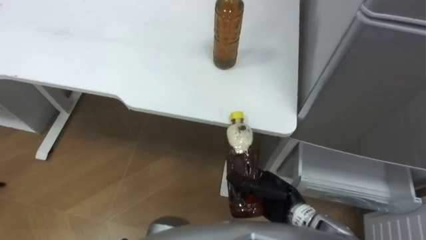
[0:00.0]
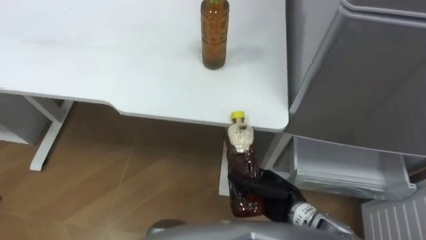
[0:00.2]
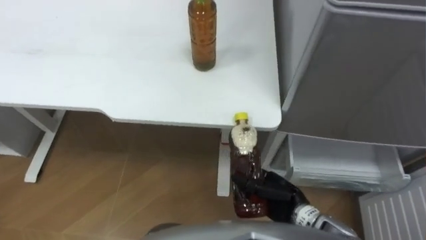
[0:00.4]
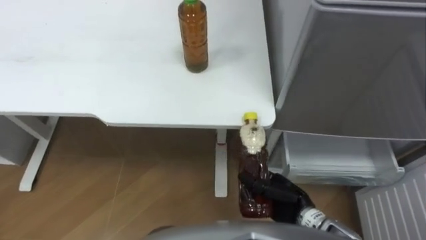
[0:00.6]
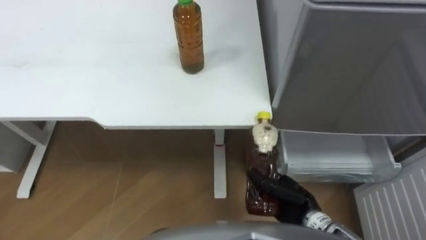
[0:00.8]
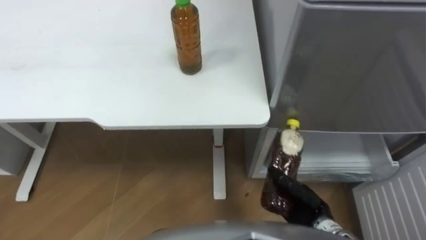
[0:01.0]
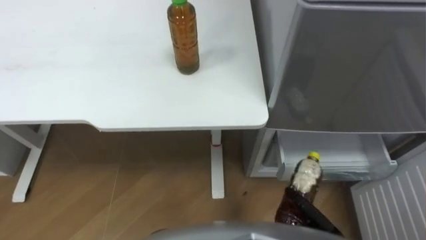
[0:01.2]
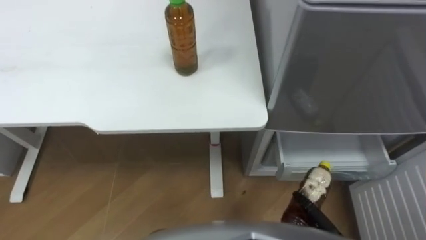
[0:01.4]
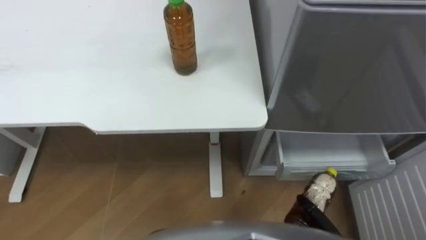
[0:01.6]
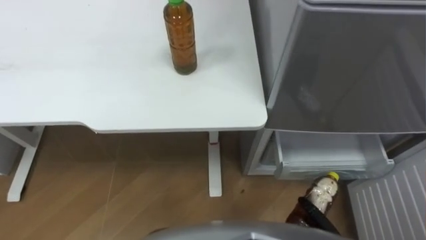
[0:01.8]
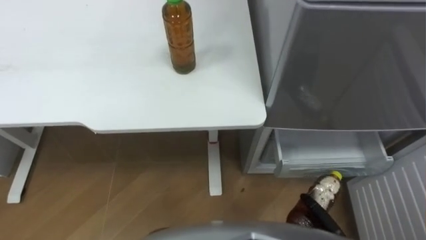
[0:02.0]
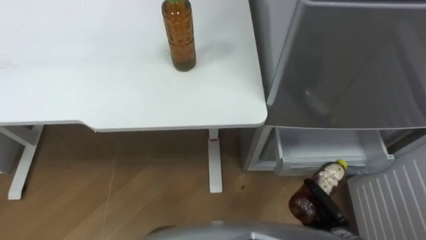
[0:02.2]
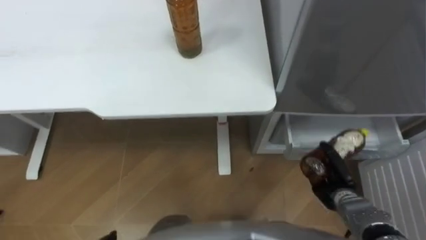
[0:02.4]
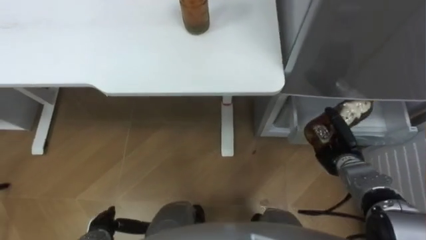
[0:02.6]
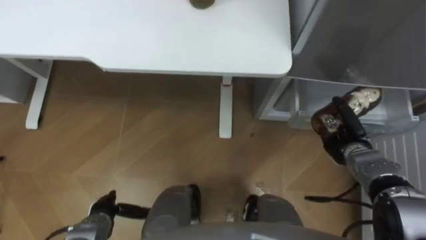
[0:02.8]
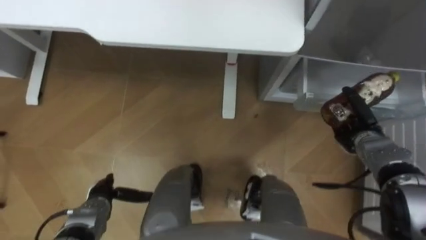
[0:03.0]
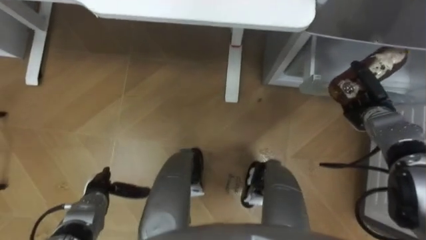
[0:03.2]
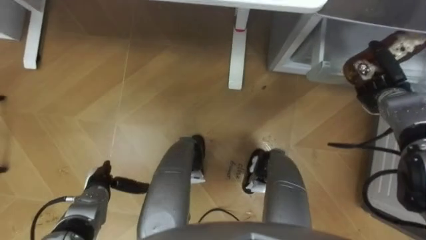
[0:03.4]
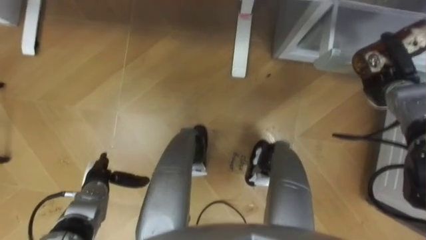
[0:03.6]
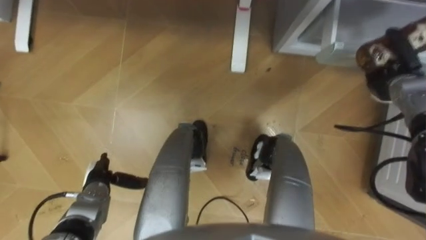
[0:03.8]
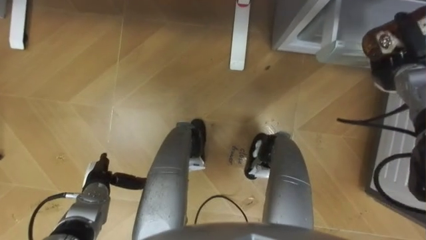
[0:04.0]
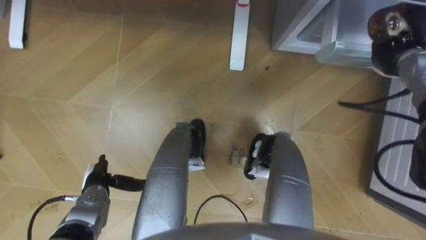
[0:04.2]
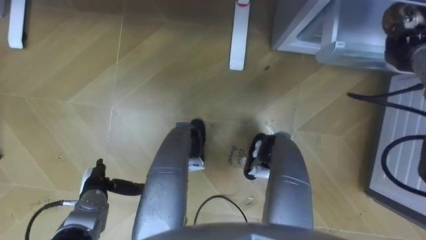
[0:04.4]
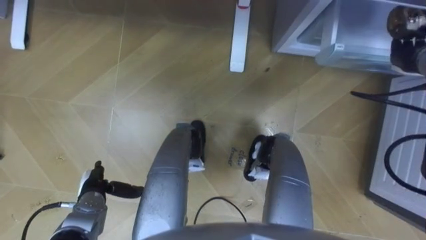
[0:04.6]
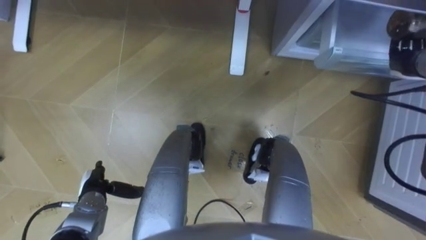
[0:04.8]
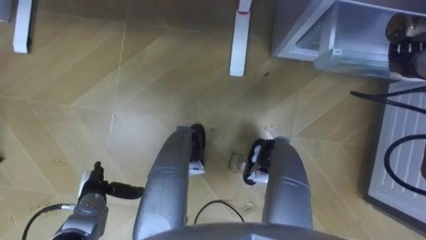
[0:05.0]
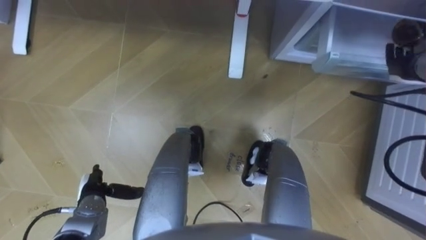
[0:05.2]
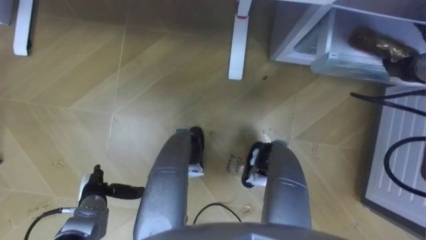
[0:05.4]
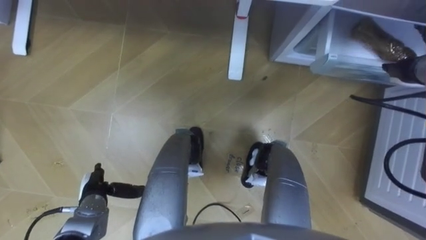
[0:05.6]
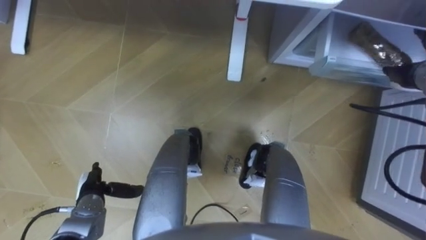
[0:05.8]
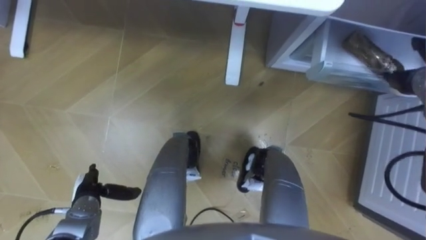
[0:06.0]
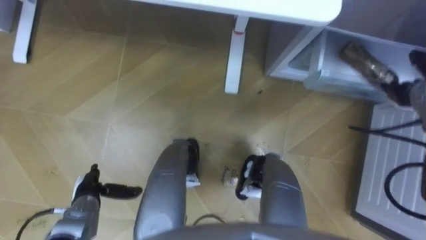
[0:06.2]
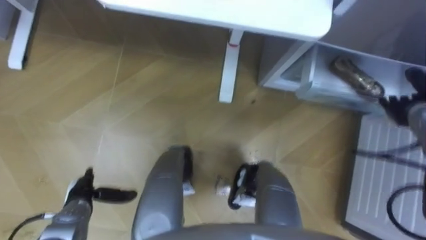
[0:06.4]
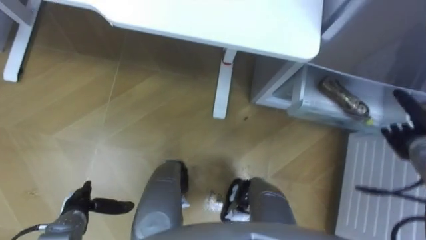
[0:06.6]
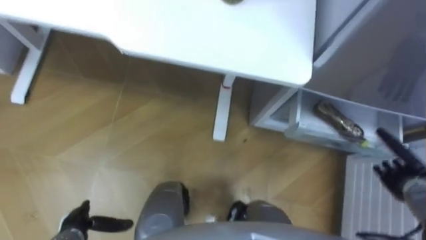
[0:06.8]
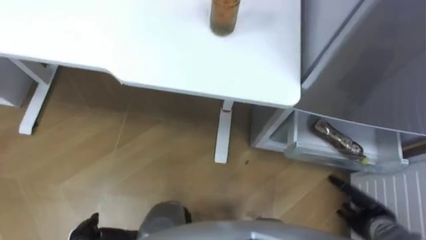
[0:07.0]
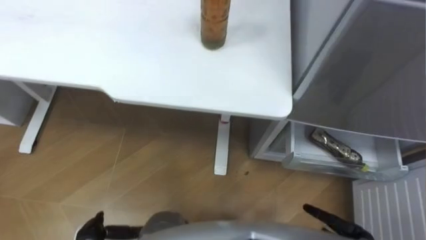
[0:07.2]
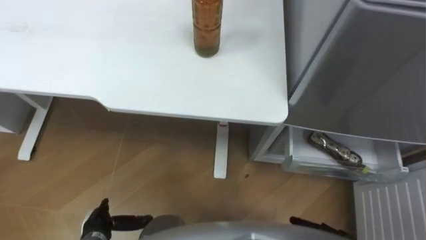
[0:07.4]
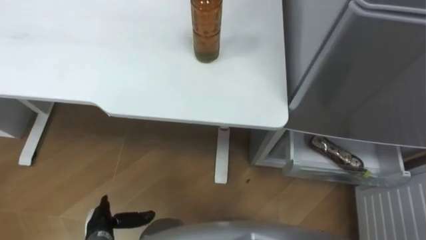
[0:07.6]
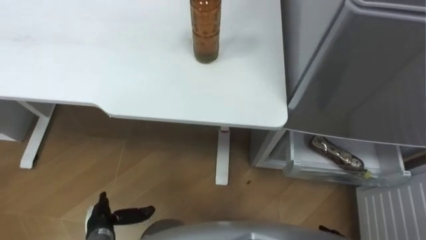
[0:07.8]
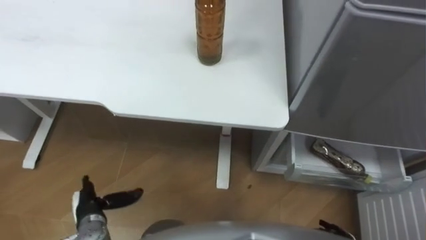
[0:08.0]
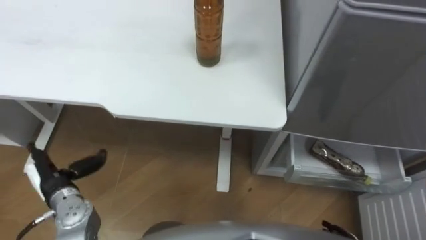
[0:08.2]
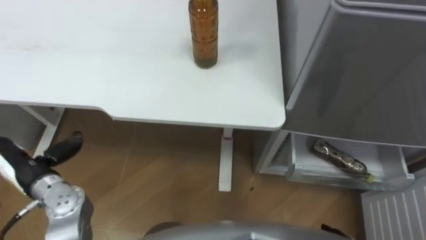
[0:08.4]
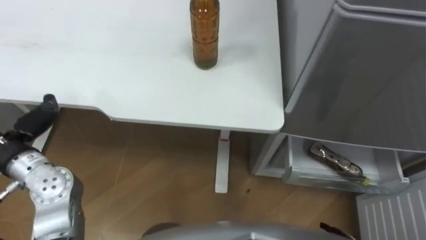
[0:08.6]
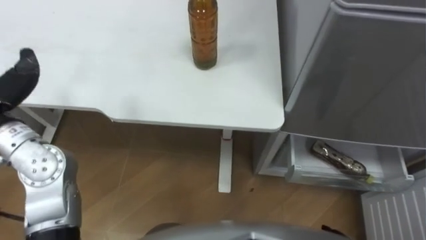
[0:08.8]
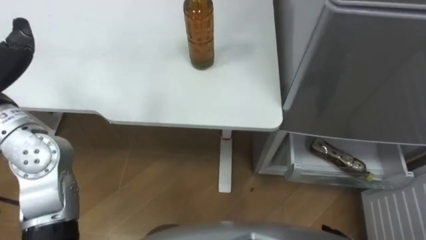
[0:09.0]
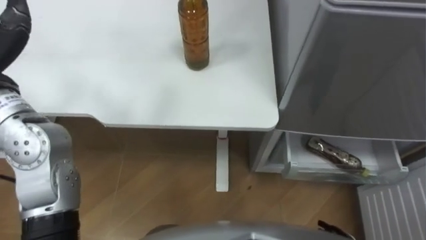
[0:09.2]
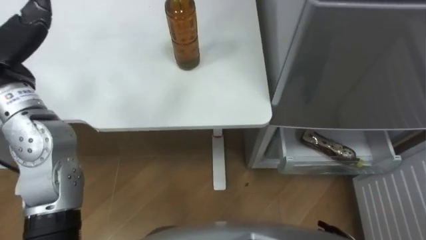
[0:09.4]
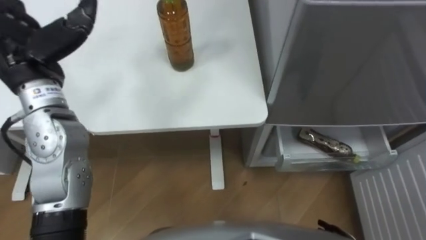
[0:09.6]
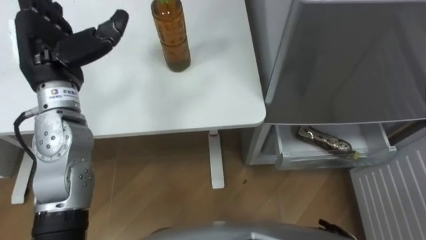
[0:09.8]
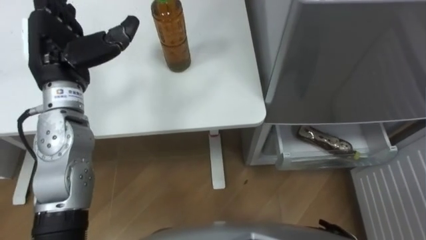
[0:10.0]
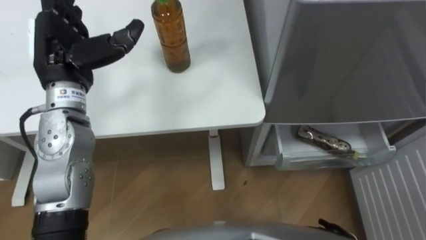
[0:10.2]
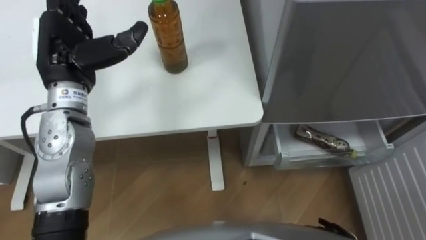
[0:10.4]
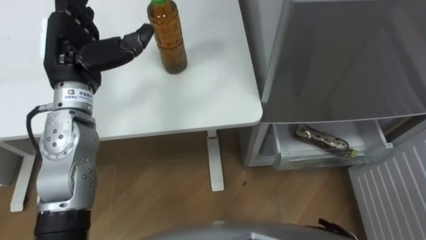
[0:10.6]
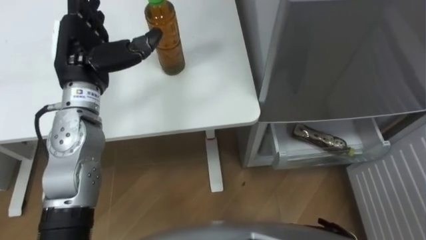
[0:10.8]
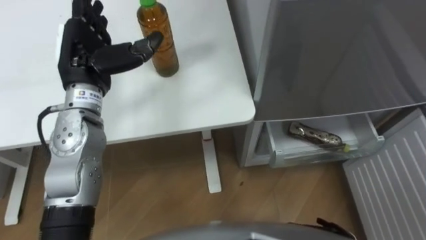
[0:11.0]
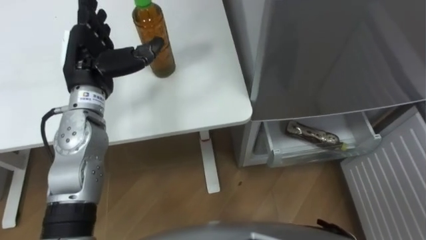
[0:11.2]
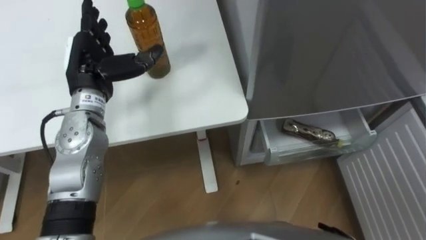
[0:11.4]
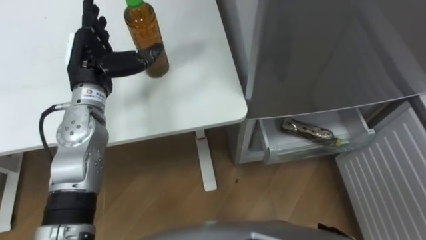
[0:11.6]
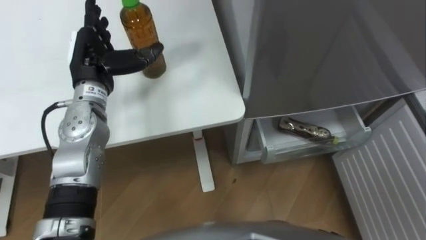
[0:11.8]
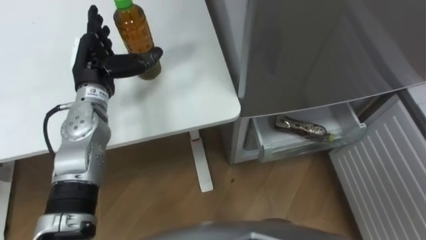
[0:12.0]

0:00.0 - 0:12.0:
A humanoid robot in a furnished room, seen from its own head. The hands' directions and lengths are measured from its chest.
Task of the whole recording: Place the drink on the table on the bottom shelf of the refrigerator, then close the drawer and the refrigerator door.
0:03.0 - 0:04.4: The right hand heads upward and forward, covering about 20 cm.
0:04.4 - 0:06.0: The right hand opens up.
0:10.4 - 0:12.0: The left hand shifts some 5 cm downward.

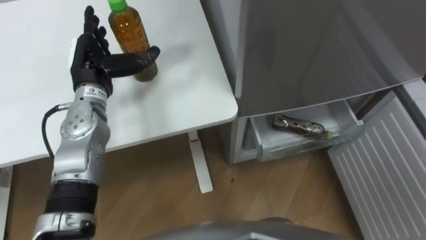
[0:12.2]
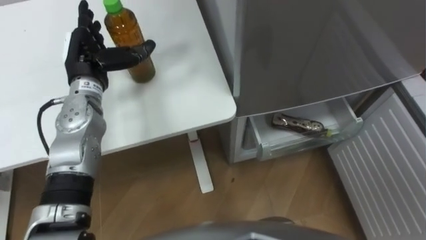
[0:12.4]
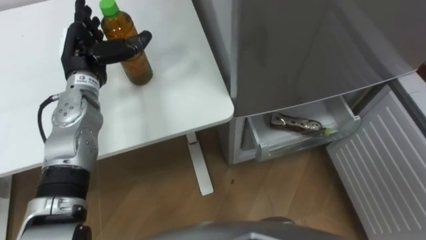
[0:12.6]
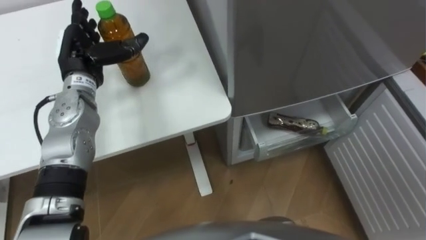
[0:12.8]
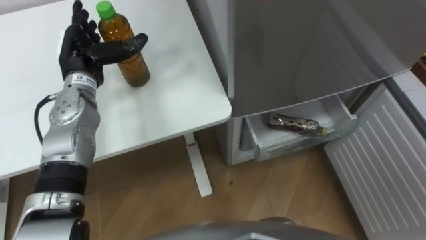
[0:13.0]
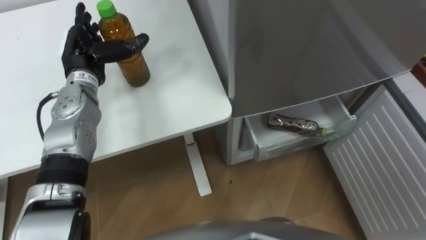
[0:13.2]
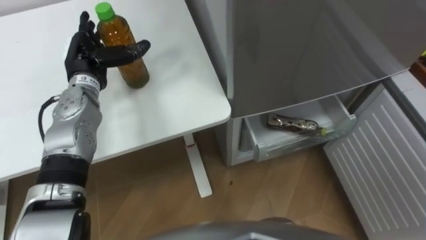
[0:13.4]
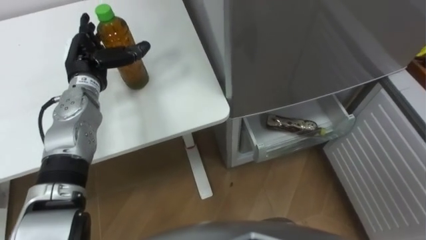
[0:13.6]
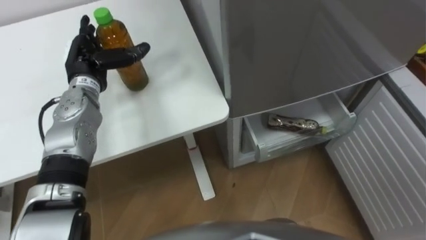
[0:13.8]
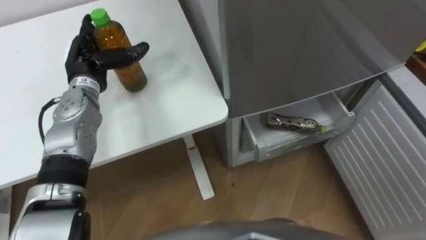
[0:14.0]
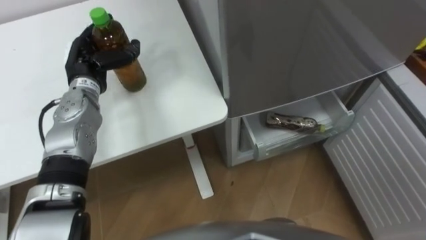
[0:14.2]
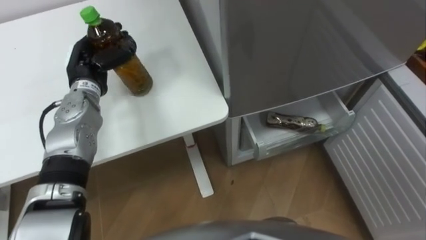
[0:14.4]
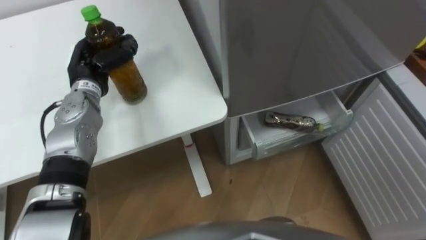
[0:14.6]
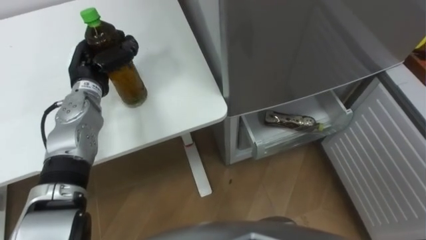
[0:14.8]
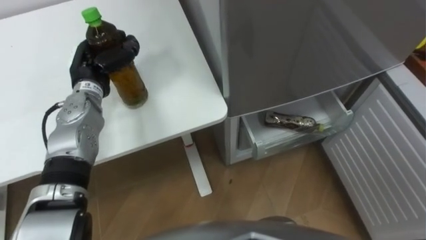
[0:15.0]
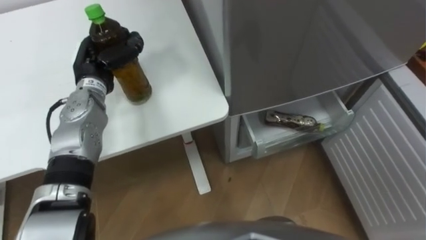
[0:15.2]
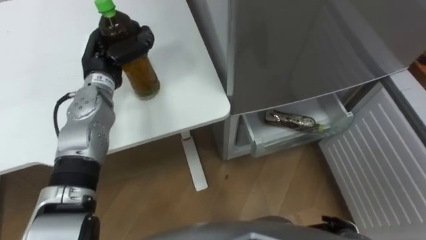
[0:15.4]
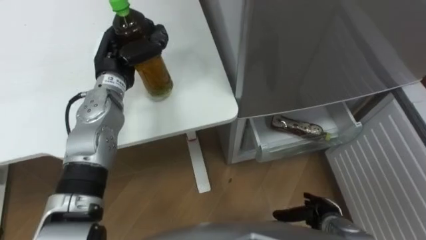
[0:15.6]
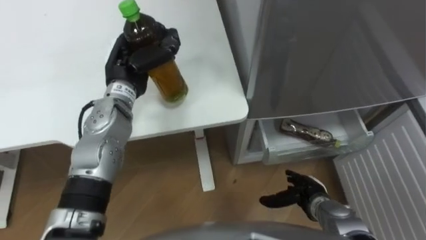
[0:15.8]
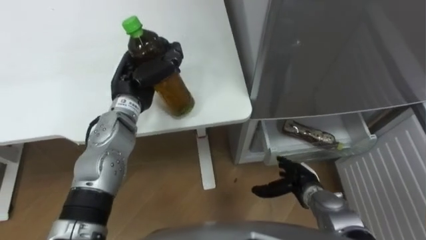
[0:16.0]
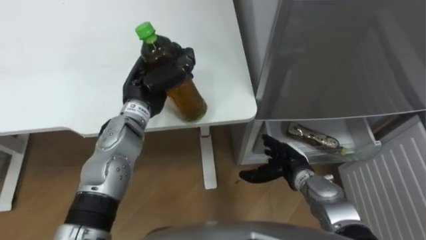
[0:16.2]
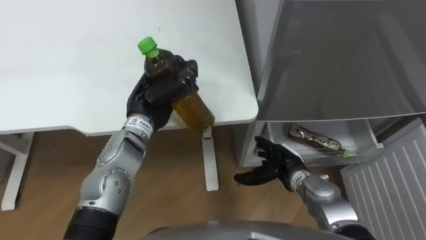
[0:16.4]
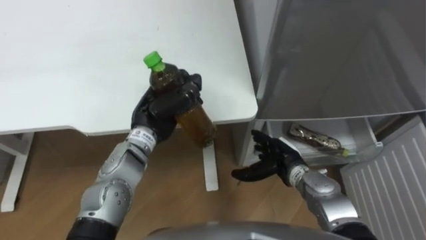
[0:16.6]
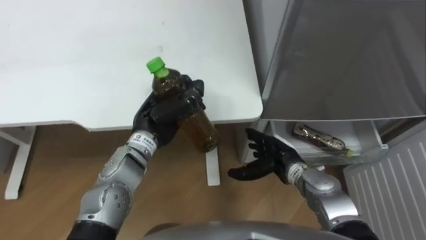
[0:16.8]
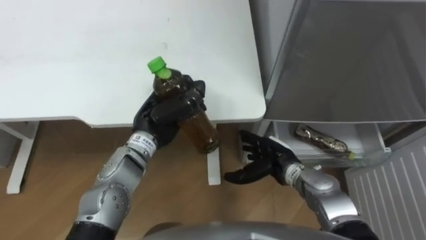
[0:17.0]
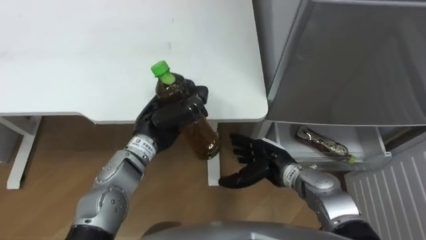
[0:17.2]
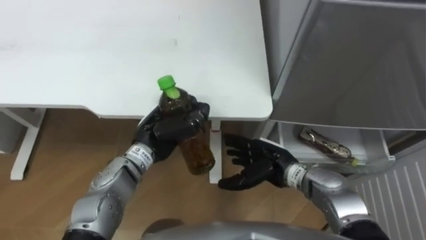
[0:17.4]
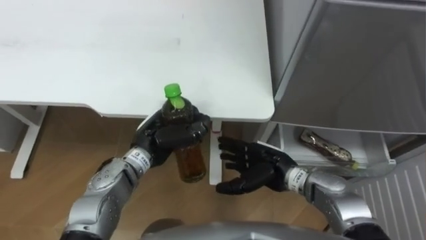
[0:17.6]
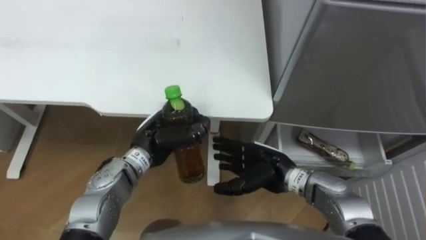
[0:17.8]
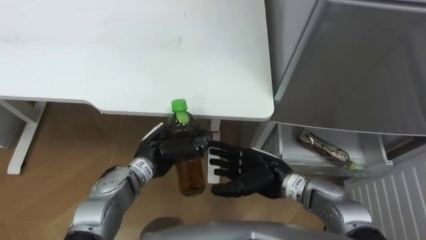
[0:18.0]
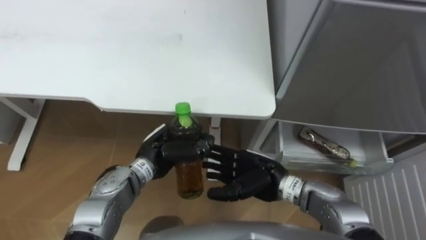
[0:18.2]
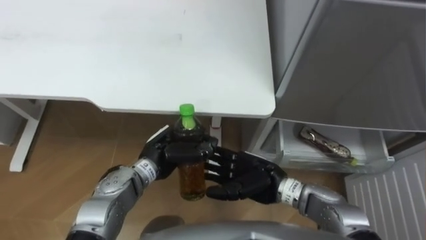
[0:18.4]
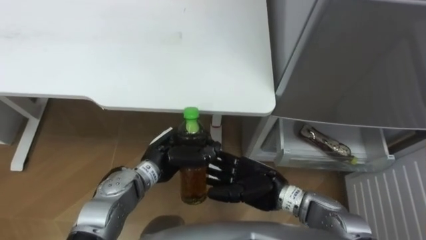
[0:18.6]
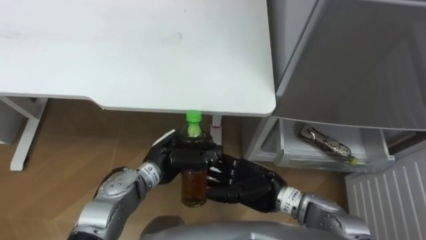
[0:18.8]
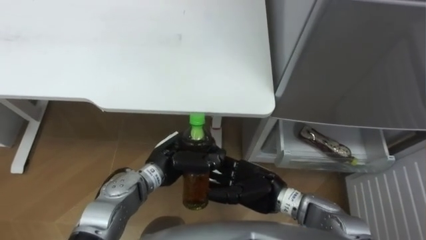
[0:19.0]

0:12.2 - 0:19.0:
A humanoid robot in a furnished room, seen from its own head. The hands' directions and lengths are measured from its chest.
Task of the whole recording: Place the drink on the table on the bottom shelf of the refrigerator, then close the drawer and the refrigerator door.
0:13.6 - 0:15.0: The left hand closes.
0:15.0 - 0:16.2: The left hand is displaced to the right by about 10 cm.
0:16.2 - 0:17.6: The left hand shifts some 10 cm backward and downward. The right hand is displaced to the left and upward by about 10 cm.
0:17.6 - 0:19.0: The right hand moves about 5 cm. The left hand moves approximately 5 cm.
